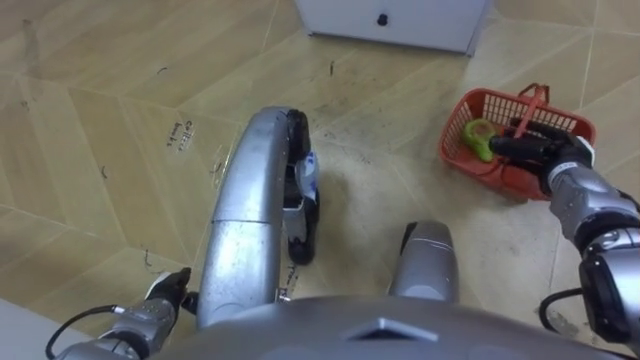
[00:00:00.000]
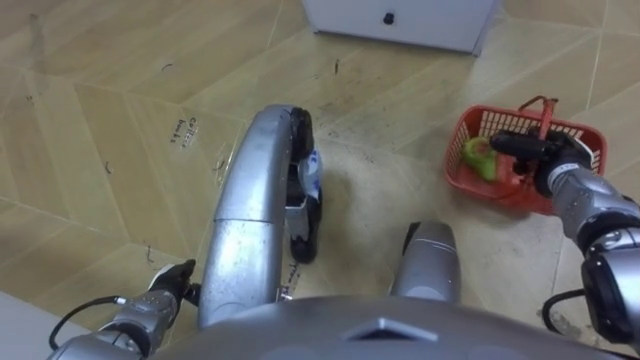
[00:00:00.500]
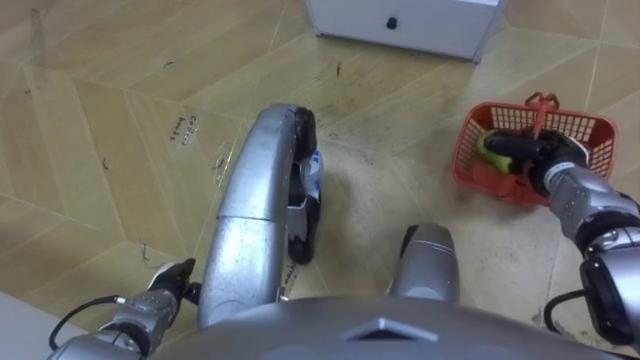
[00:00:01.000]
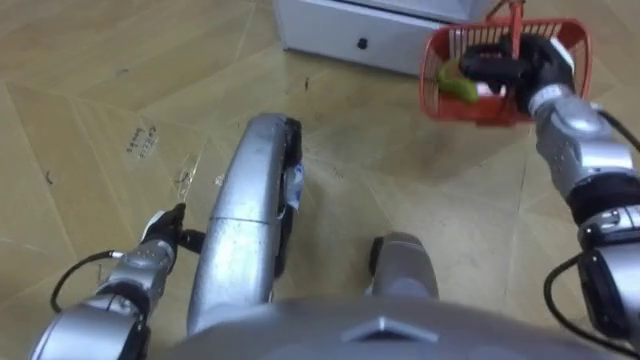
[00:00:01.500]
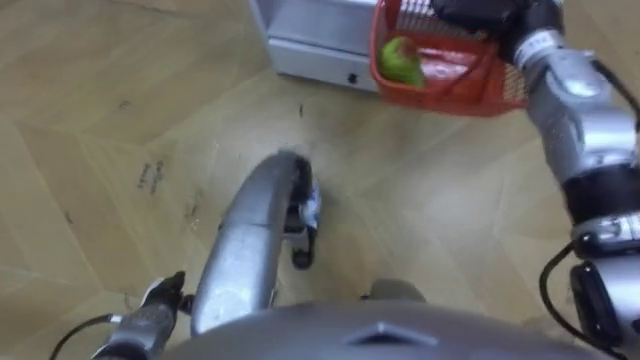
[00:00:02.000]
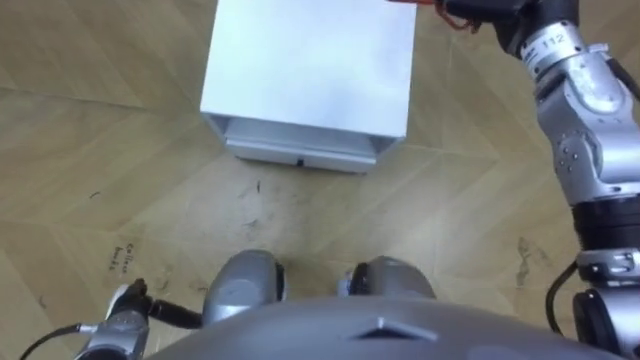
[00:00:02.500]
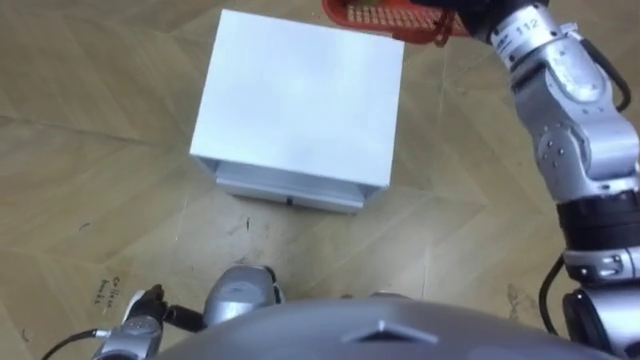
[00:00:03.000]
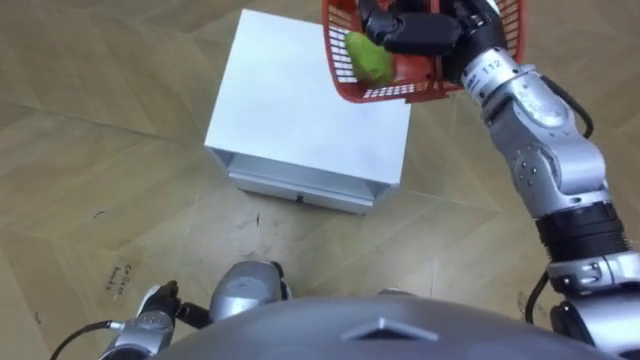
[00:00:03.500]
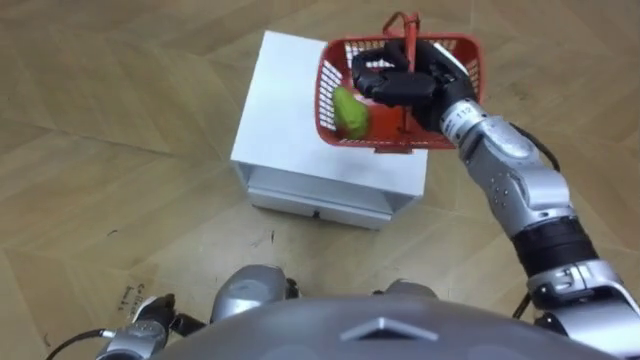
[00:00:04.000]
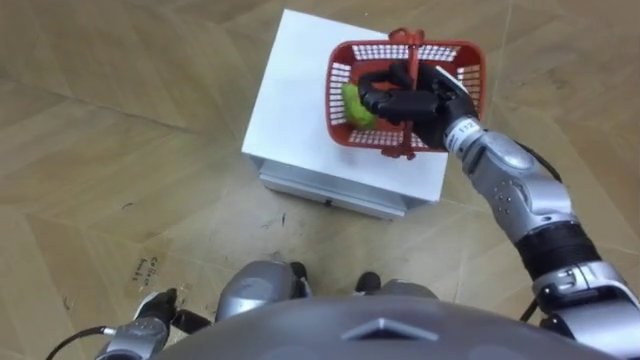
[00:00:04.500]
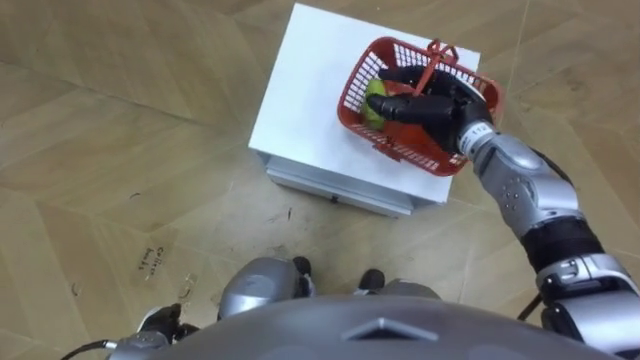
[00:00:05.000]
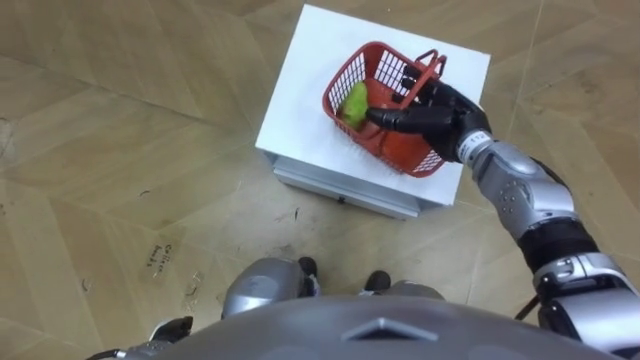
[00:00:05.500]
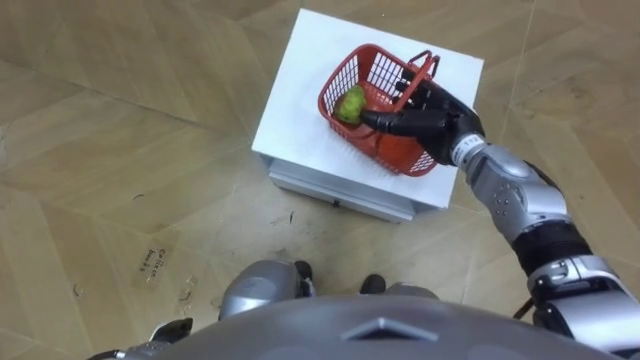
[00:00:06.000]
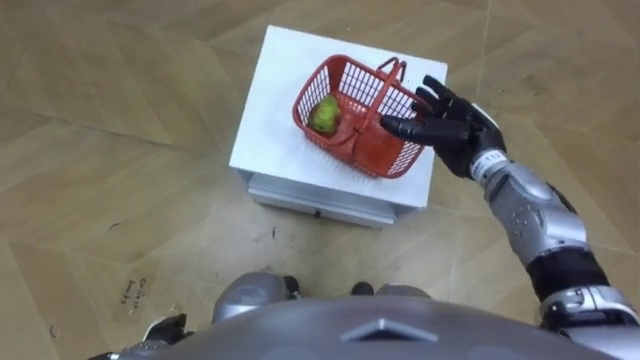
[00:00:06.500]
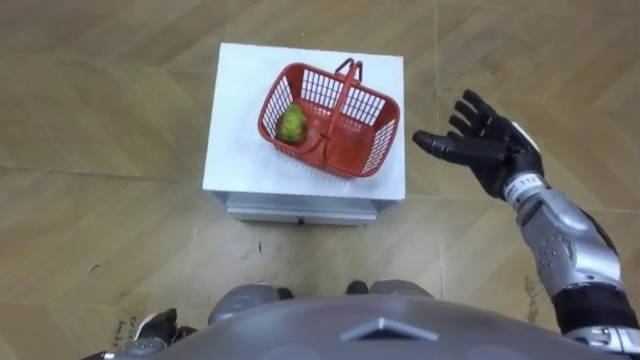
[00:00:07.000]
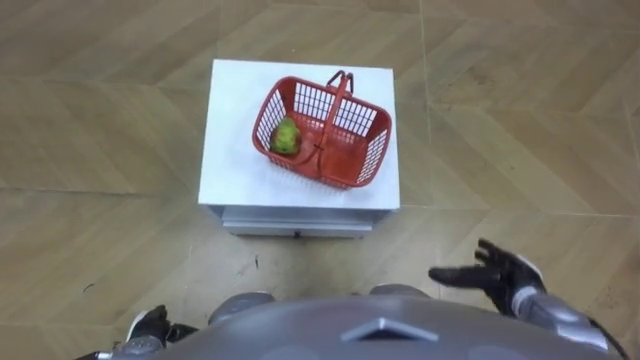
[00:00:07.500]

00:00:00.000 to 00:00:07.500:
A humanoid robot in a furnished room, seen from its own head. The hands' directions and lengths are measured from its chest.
Task of the whole recording: Pick up the fruit basket from the floor and place it on the cabinet.
00:00:00.000 to 00:00:02.000: The right hand is displaced upward, forward and to the left by roughly 25 cm, and closes its fingers. Meanwhile the left hand moves about 10 cm forward and comes back.
00:00:04.000 to 00:00:05.500: The right hand is displaced downward by roughly 5 cm, and opens its fingers.
00:00:05.500 to 00:00:07.500: The right hand shifts about 25 cm backward, downward and to the right.

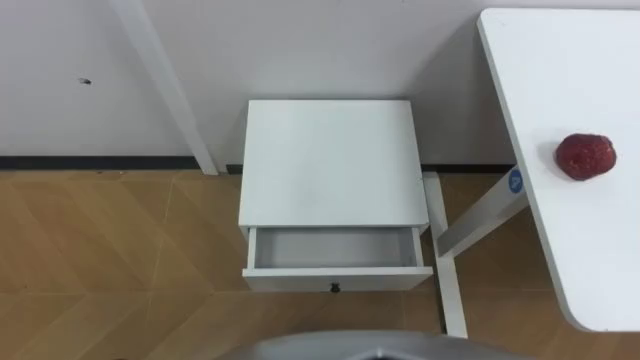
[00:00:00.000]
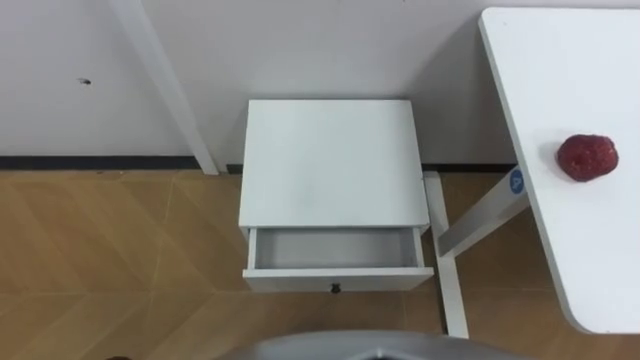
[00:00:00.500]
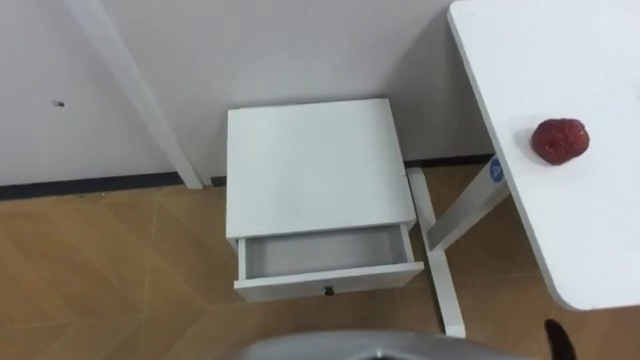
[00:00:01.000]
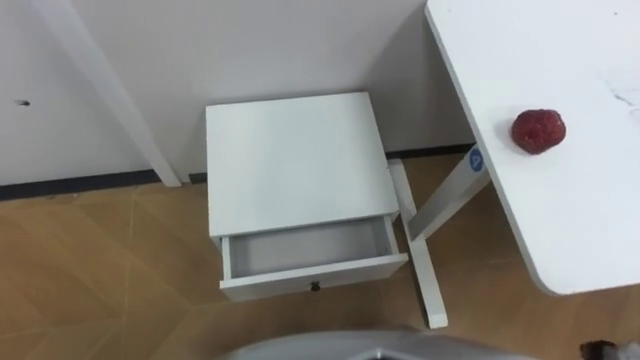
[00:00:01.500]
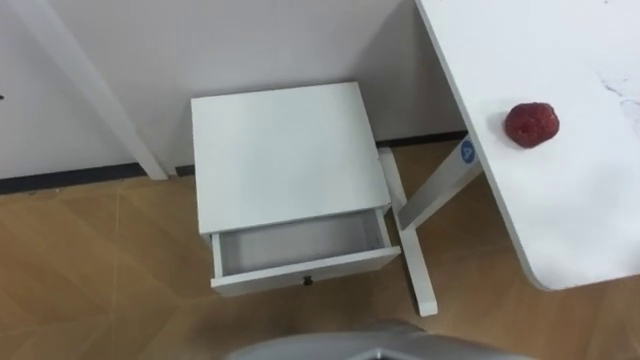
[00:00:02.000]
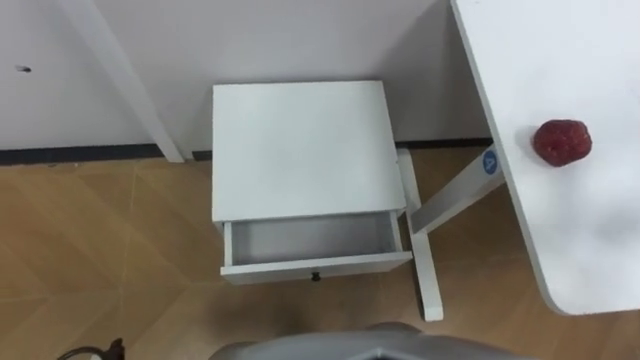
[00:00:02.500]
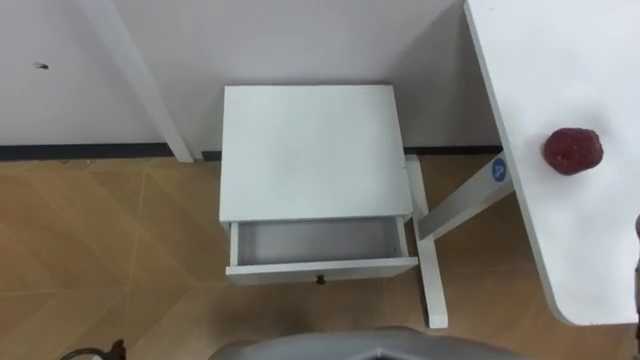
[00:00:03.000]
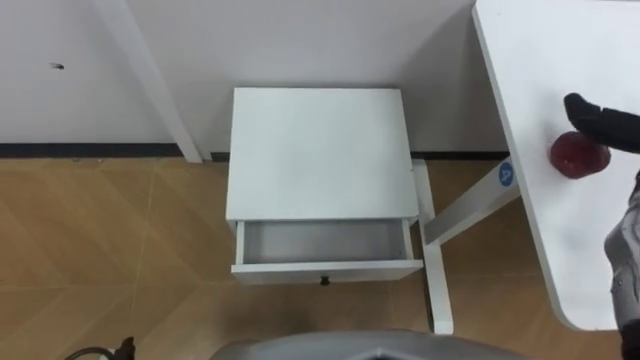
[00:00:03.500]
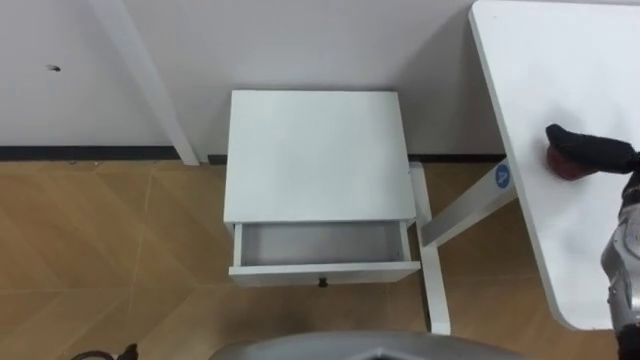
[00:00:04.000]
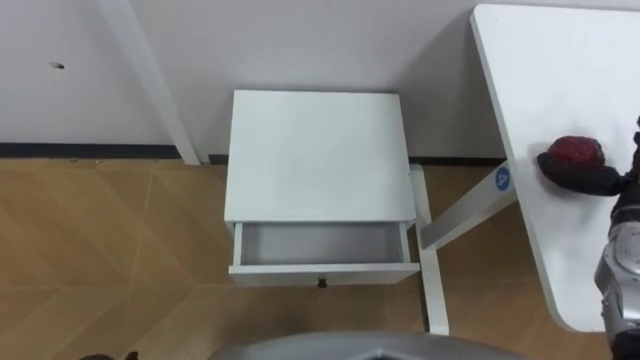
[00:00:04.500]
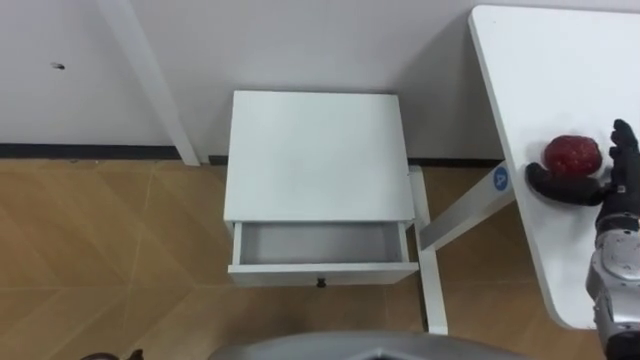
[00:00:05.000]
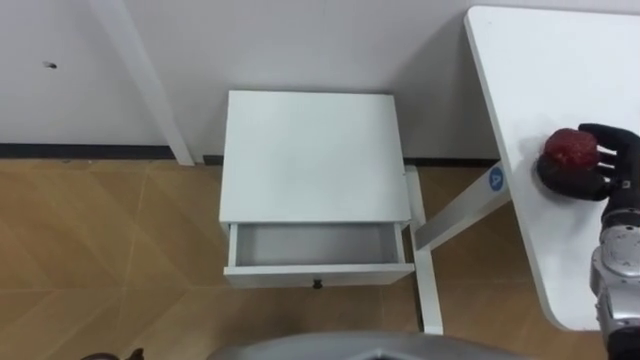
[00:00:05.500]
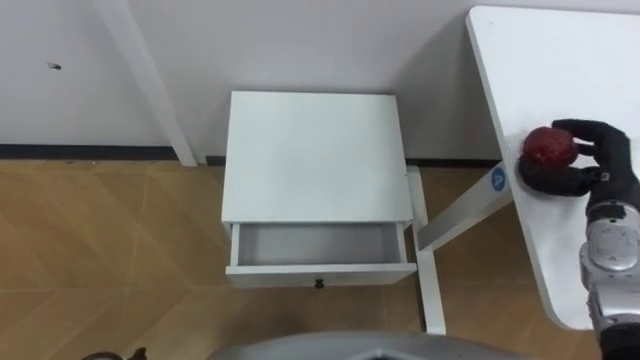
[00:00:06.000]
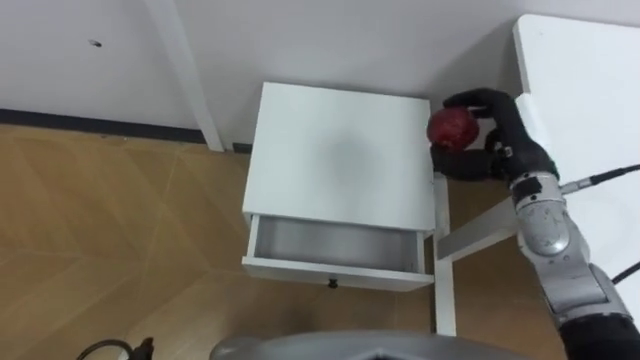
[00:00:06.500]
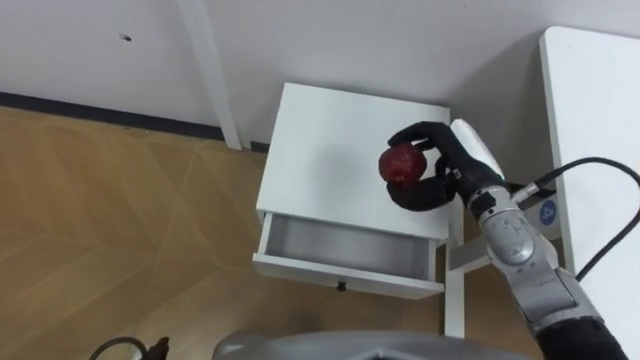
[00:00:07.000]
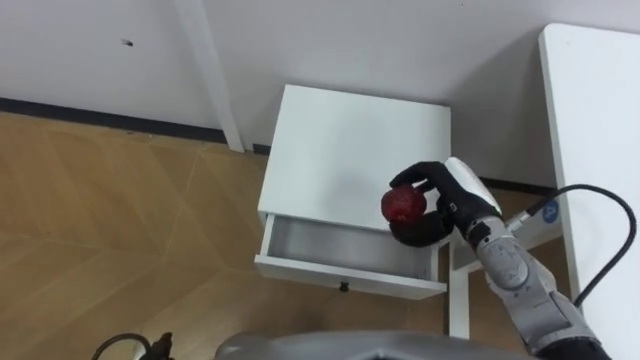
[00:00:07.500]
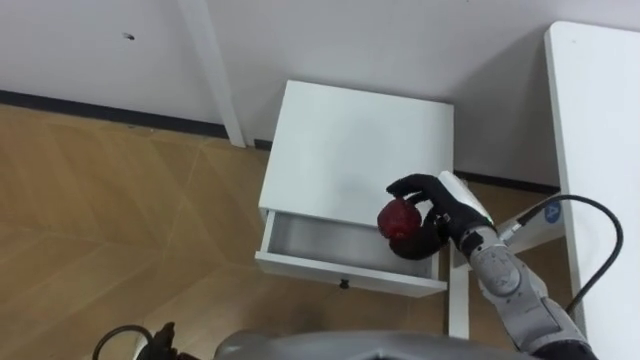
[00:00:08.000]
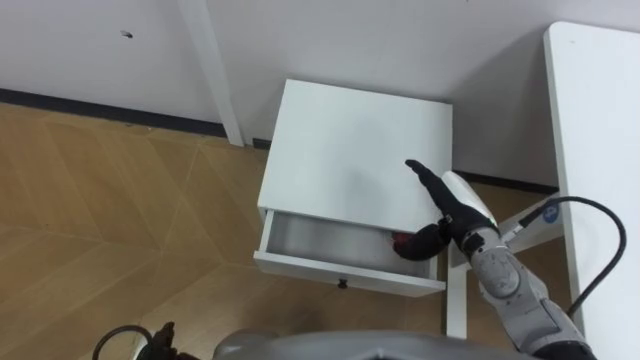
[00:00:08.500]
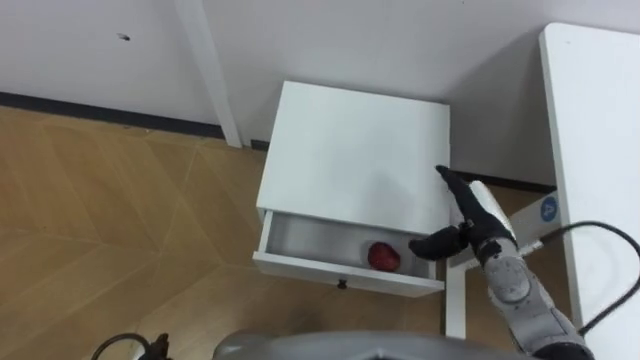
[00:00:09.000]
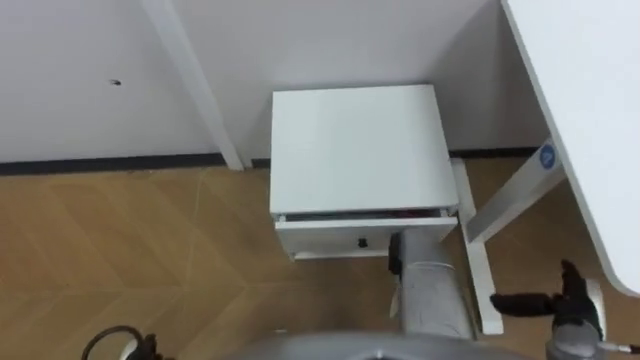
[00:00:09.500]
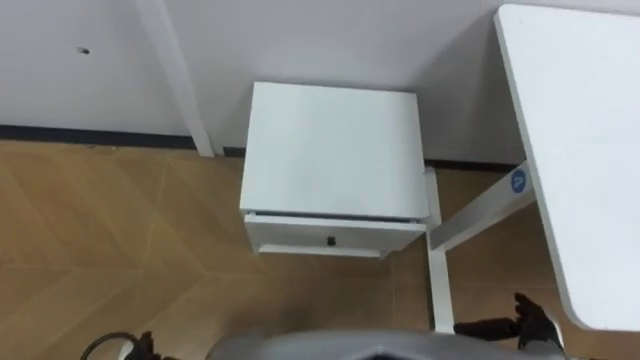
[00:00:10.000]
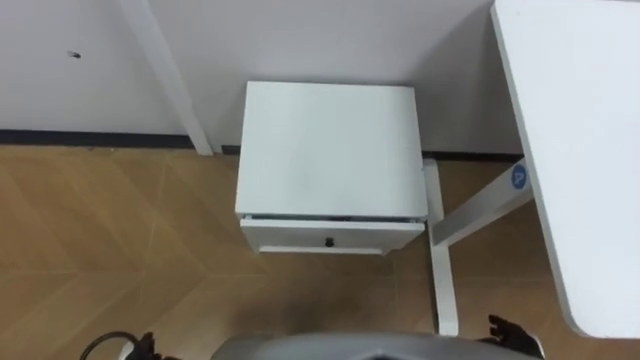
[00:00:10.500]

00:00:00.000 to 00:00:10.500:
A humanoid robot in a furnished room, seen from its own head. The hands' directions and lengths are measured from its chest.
Task of the whole recording: Pick up the apple from the table, put it in the drawer, and close the drawer with leg.
00:00:06.500 to 00:00:08.500: The right hand moves downward, to the left and backward, about 10 cm, and opens.
00:00:08.500 to 00:00:10.500: The right hand shifts some 25 cm backward, downward and to the right.

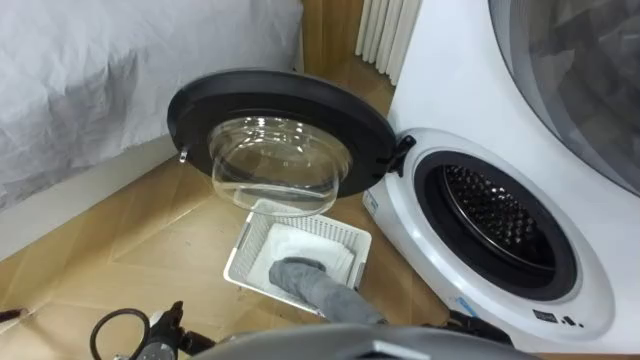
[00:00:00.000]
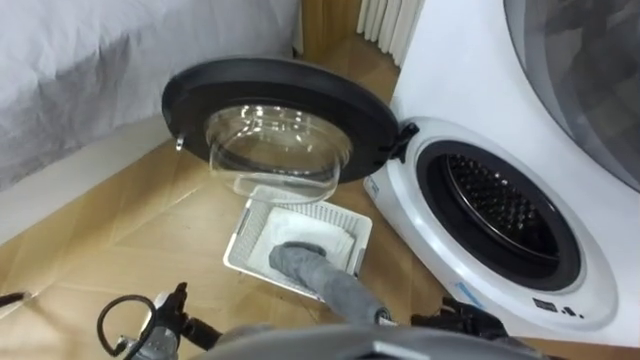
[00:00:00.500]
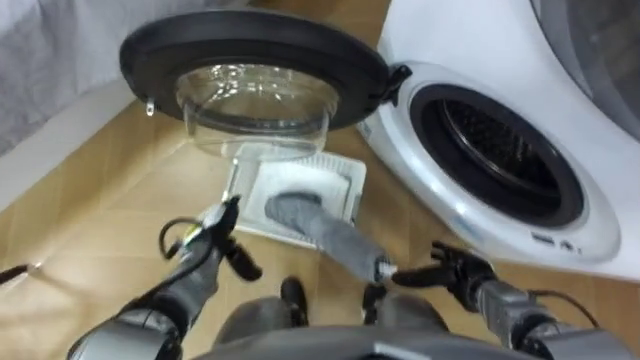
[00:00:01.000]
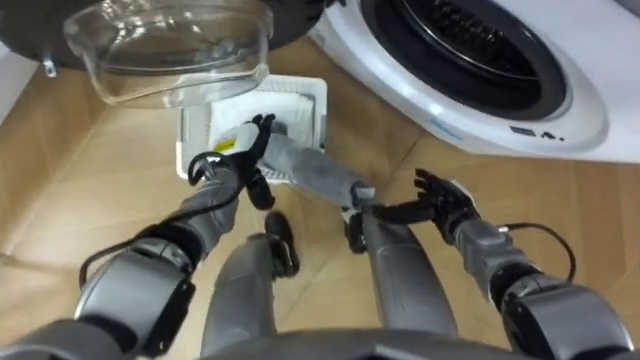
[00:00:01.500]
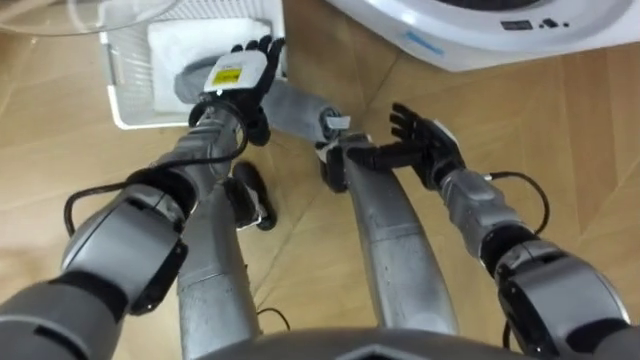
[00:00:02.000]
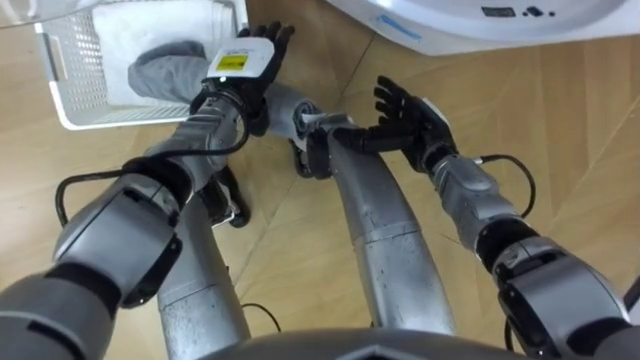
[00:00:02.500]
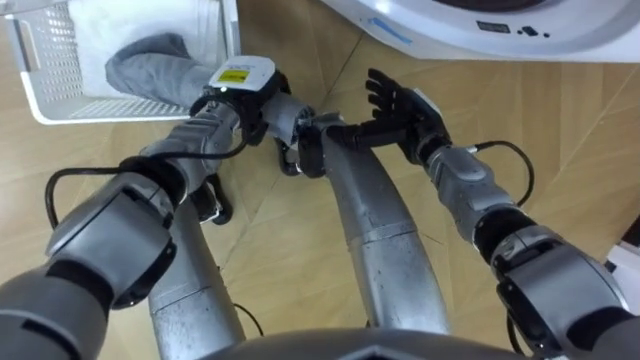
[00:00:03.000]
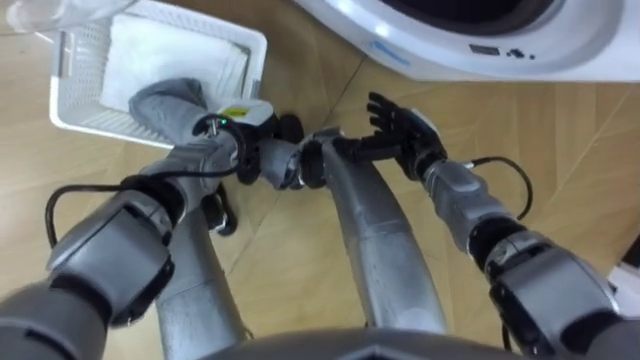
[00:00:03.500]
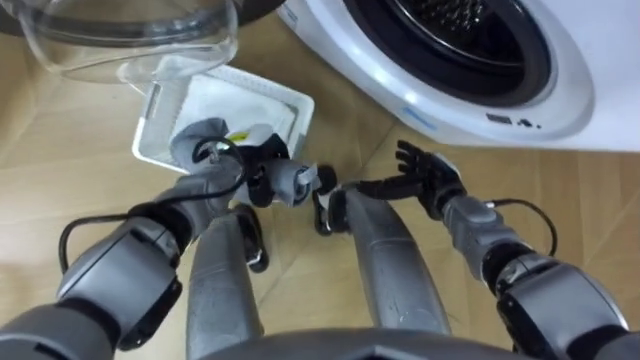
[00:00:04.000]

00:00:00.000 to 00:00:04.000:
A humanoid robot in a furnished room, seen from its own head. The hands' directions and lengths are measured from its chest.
Task of the whole recording: Take the towel from the basket and put it into the washing machine.
00:00:02.000 to 00:00:04.000: The left hand heads downward and backward, covering some 10 cm, and closes up; the right hand ends up some 5 cm from where it was.
